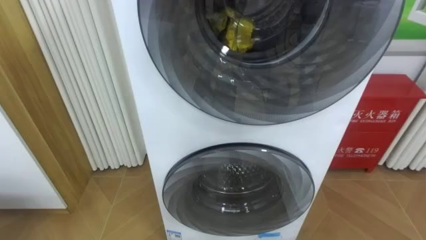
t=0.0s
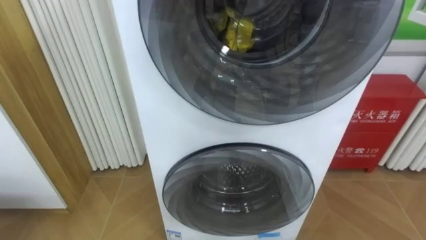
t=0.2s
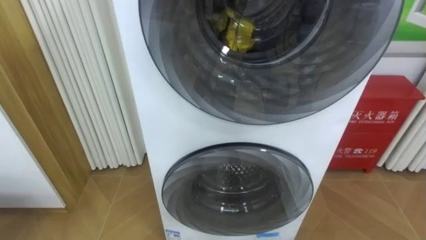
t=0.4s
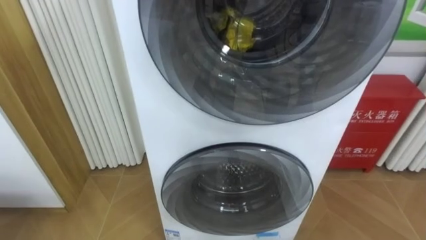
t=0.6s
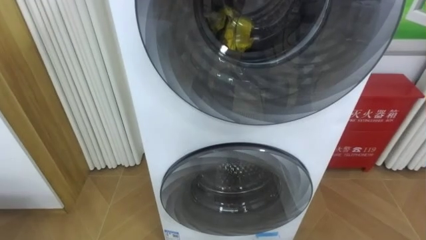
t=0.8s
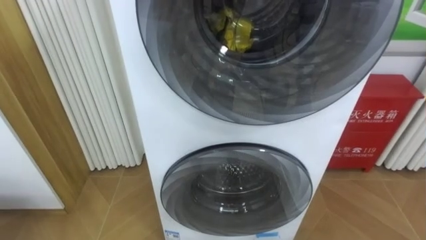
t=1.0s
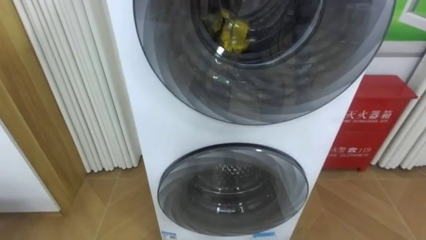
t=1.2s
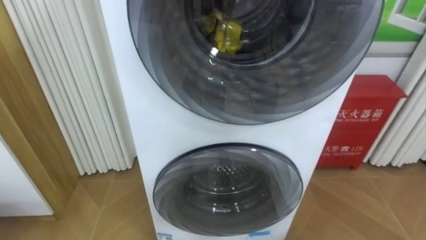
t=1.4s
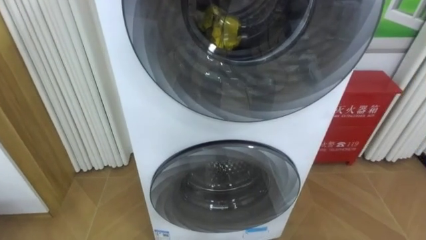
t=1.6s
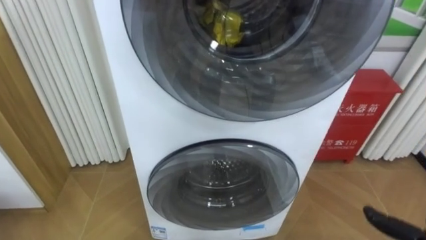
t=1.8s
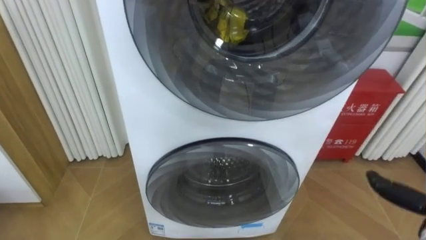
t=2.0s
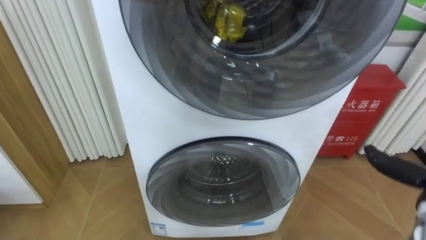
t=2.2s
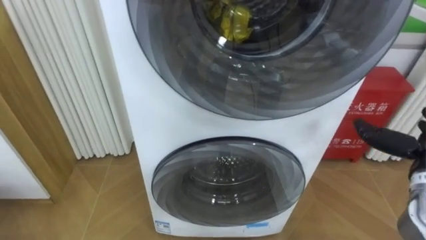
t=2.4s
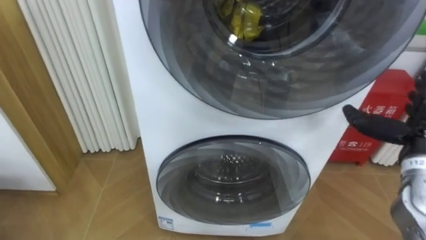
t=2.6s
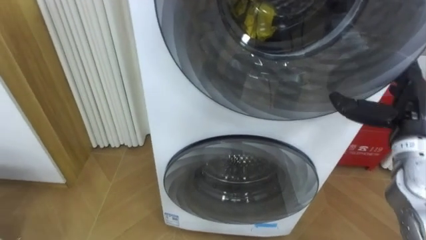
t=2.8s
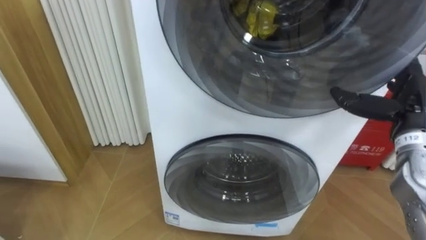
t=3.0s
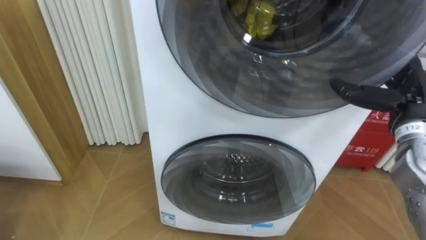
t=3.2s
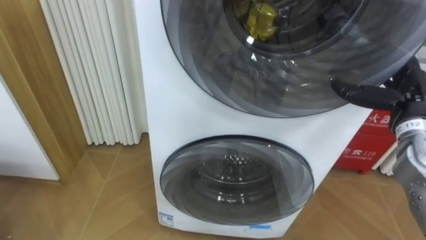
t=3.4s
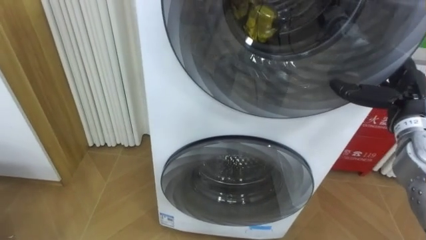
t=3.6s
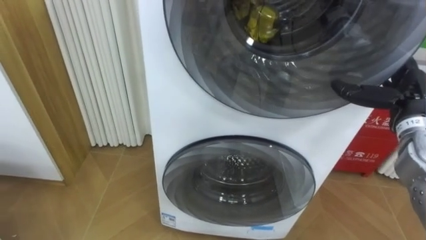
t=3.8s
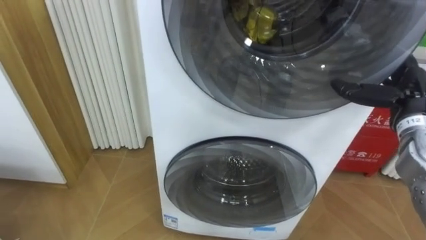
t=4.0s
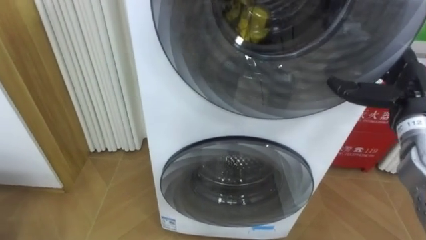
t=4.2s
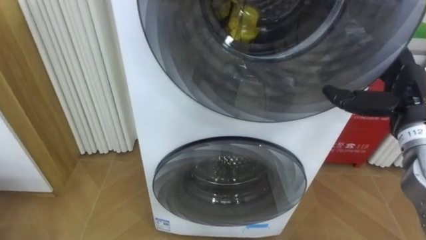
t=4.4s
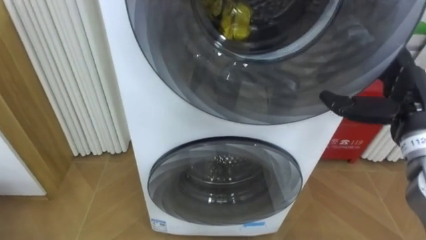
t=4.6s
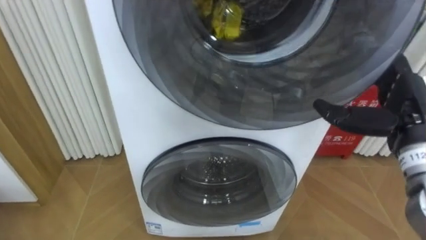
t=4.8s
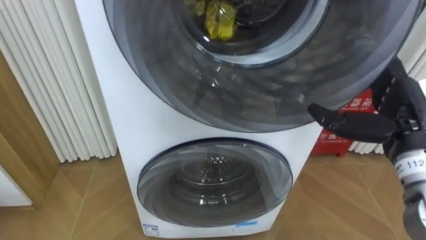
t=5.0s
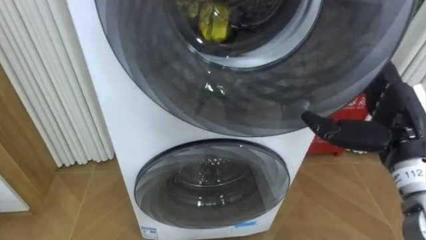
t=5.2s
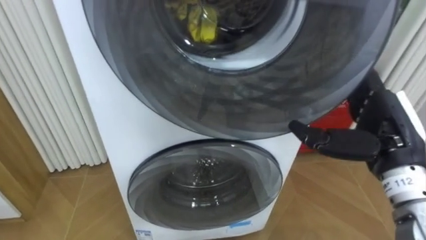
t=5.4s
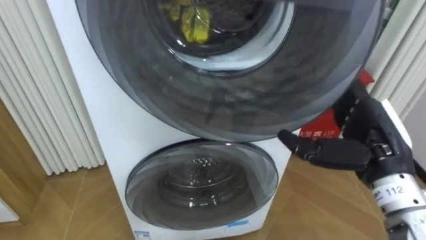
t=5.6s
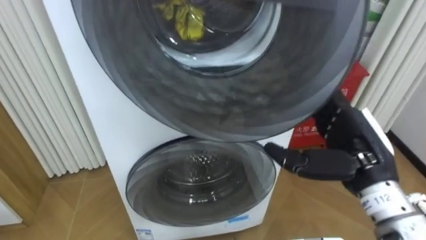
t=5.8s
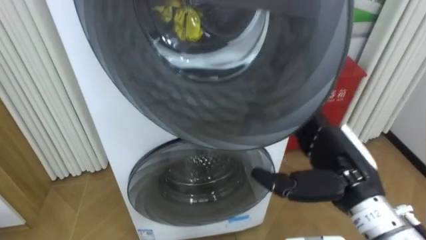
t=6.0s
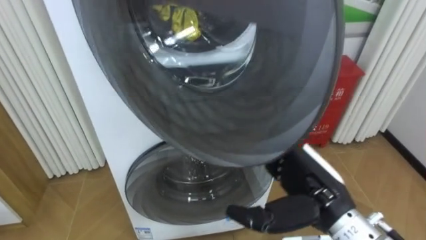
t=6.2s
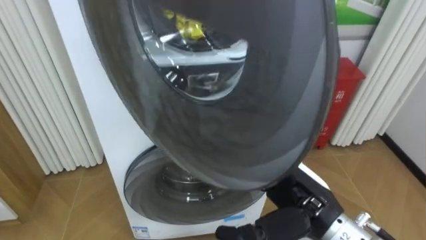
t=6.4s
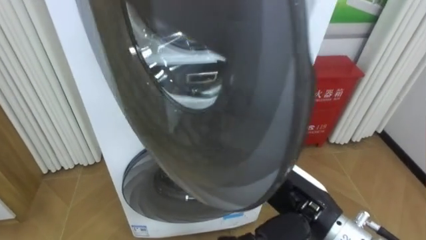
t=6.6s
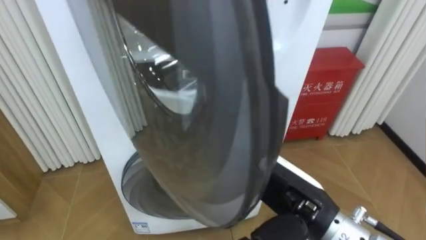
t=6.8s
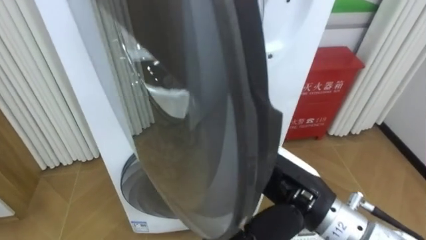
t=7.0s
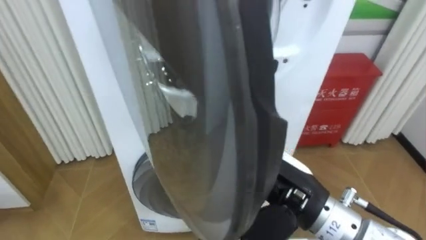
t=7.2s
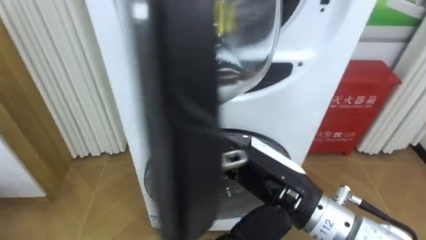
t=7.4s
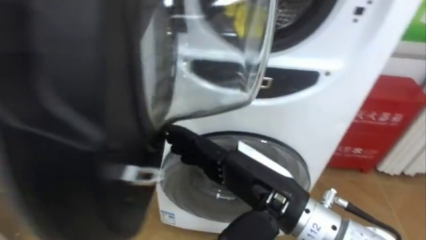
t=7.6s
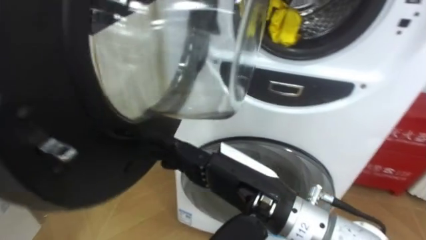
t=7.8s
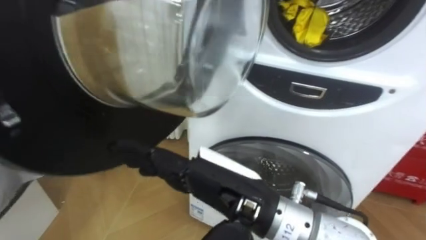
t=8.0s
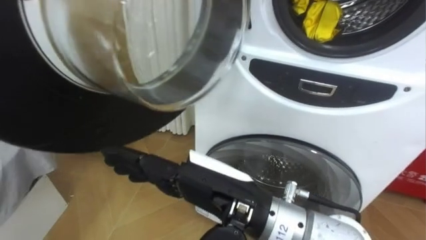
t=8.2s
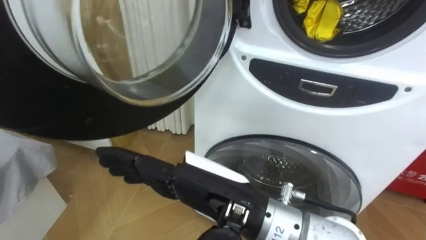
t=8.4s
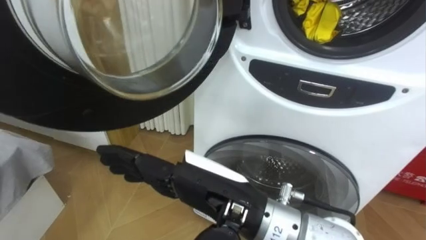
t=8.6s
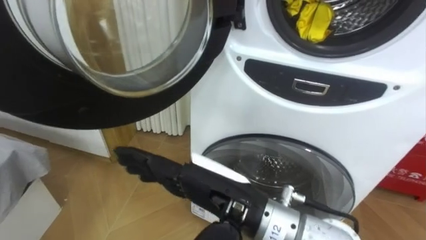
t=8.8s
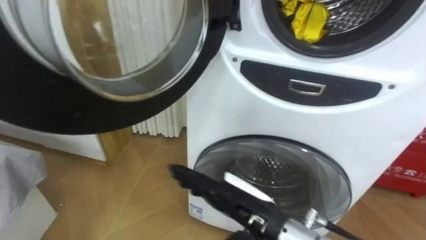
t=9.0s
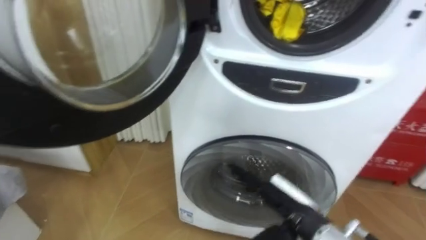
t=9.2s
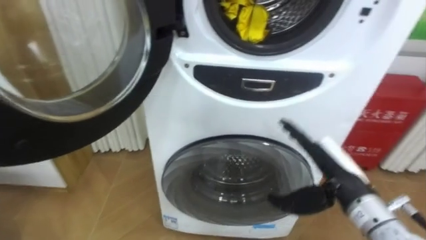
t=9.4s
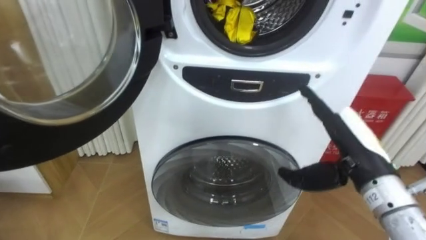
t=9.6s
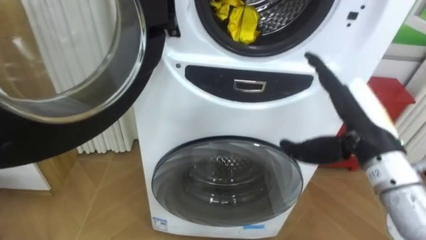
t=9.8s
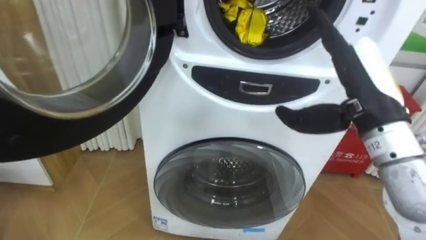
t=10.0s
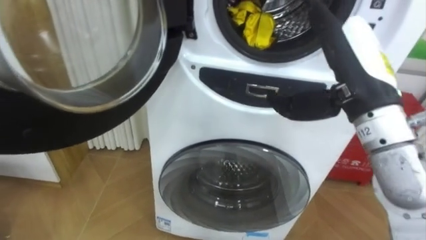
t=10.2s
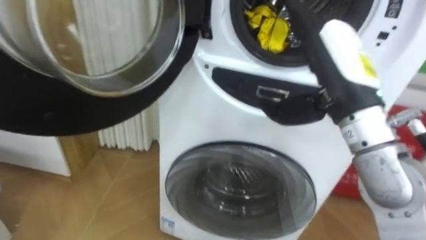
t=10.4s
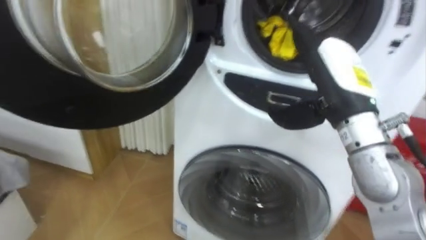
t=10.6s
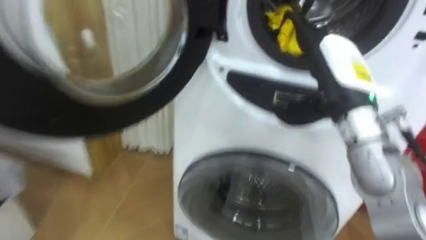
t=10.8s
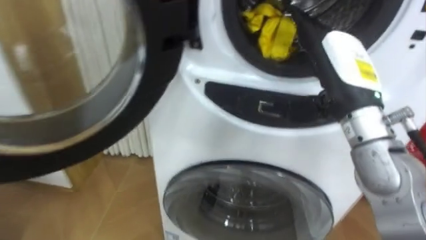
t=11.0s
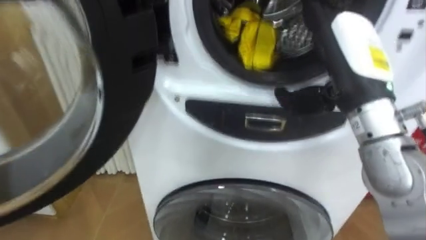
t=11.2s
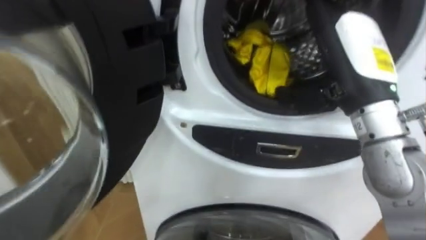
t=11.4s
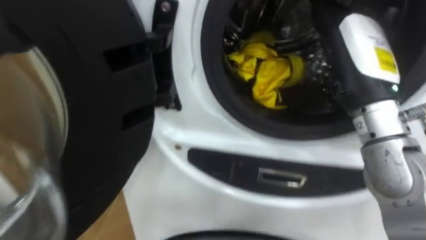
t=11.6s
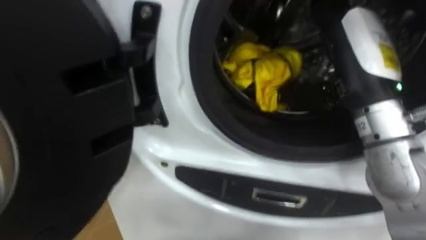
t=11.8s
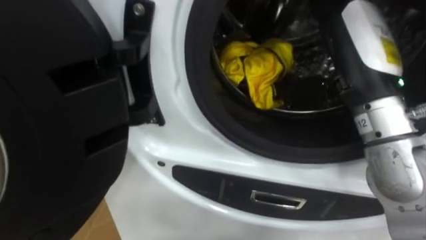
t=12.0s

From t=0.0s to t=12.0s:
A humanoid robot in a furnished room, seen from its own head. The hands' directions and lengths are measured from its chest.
Task of the whole recording: Open the washing machine door, take out the yellow clothes, place them in the box on the right, and close the washing machine door.
From t=4.4s to t=6.0s: The right hand goes some 15 cm to the left and backward.
From t=6.0s to t=7.6s: The right hand travels to the left by approximately 10 cm.
From t=7.6s to t=9.0s: The right hand heads downward, covering some 5 cm.
From t=9.0s to t=10.4s: The right hand travels upward, to the right and forward by about 20 cm.

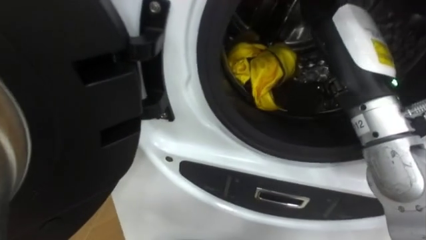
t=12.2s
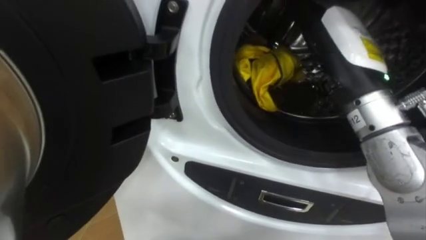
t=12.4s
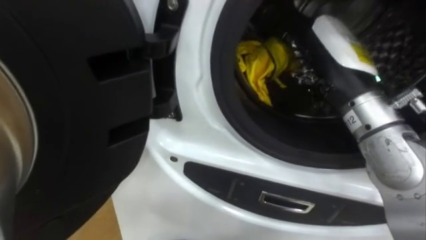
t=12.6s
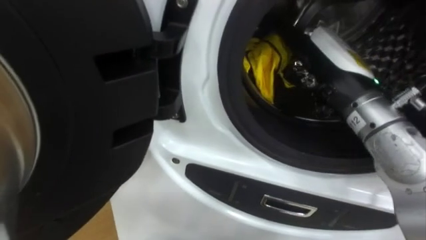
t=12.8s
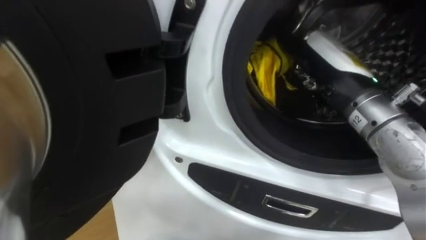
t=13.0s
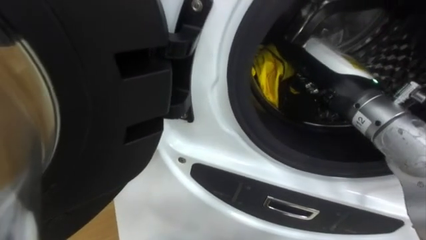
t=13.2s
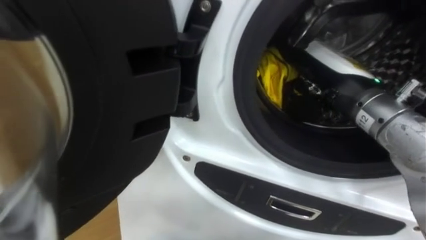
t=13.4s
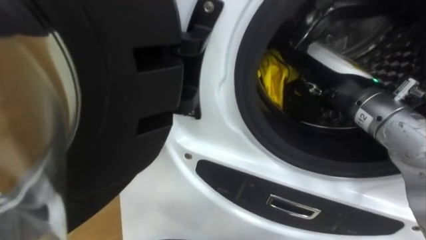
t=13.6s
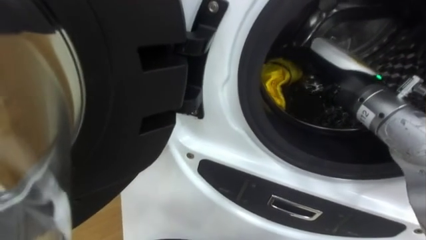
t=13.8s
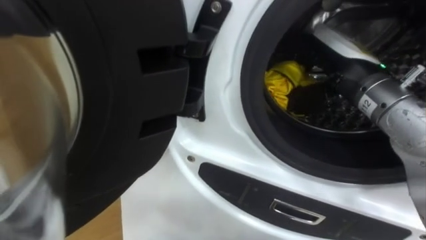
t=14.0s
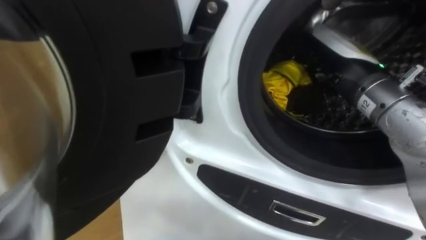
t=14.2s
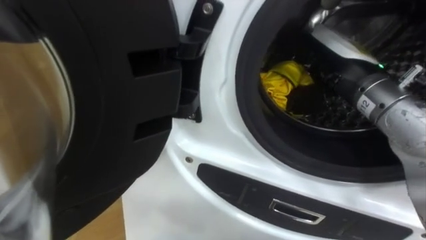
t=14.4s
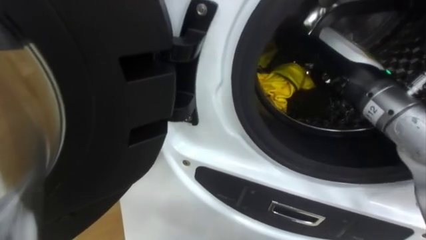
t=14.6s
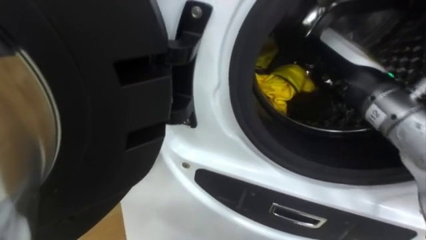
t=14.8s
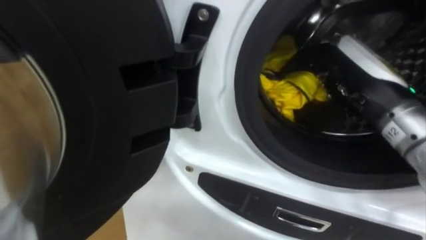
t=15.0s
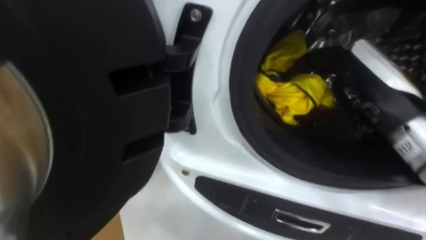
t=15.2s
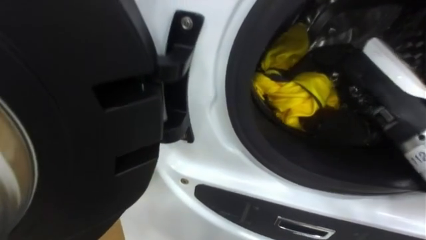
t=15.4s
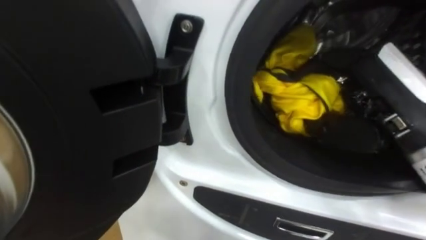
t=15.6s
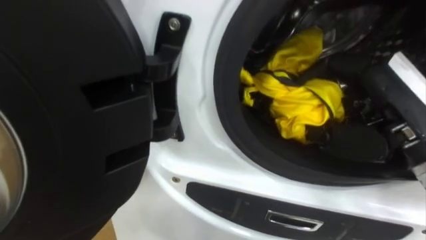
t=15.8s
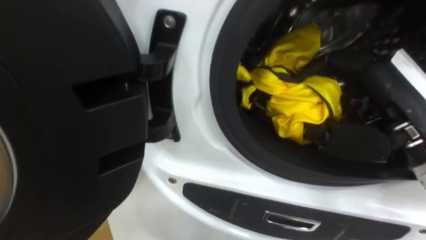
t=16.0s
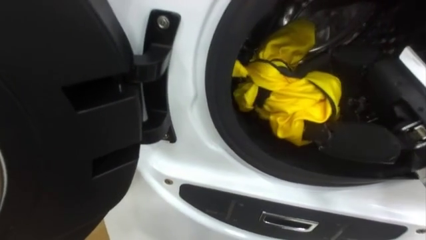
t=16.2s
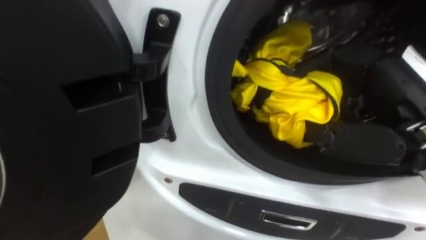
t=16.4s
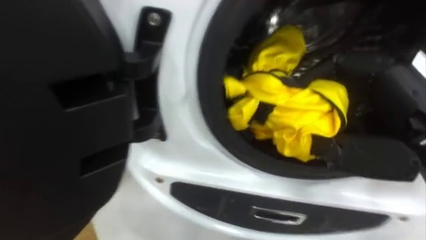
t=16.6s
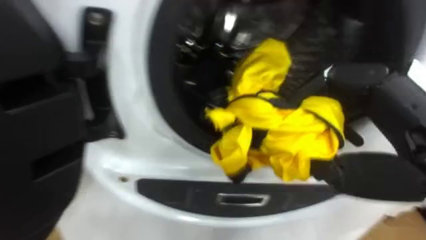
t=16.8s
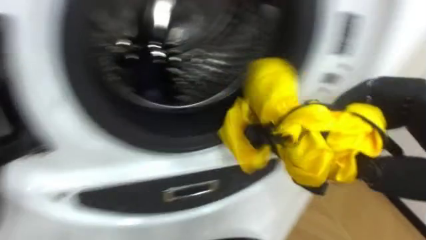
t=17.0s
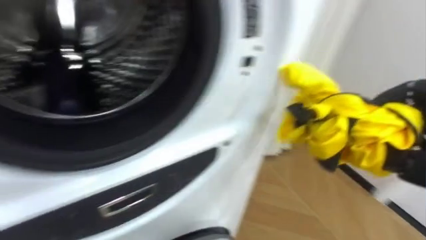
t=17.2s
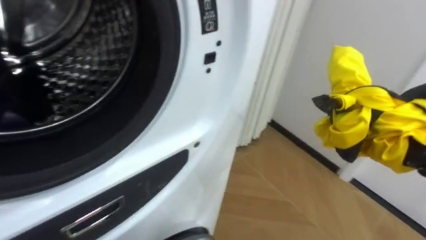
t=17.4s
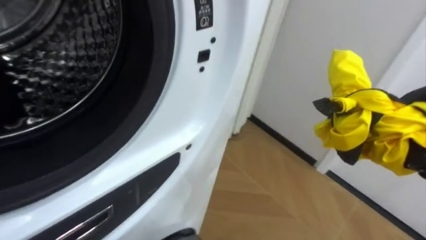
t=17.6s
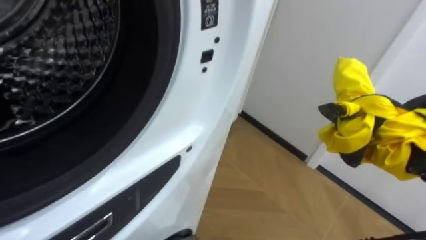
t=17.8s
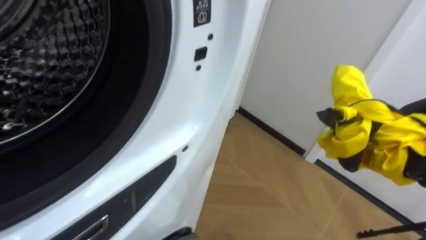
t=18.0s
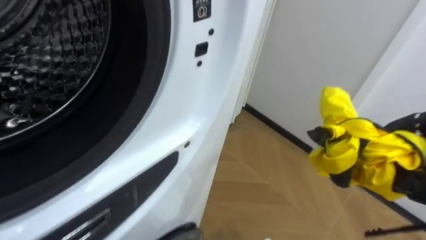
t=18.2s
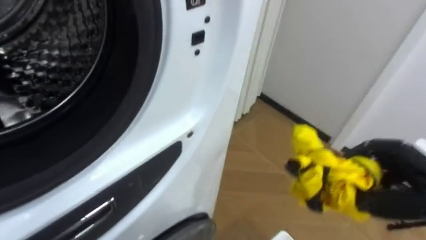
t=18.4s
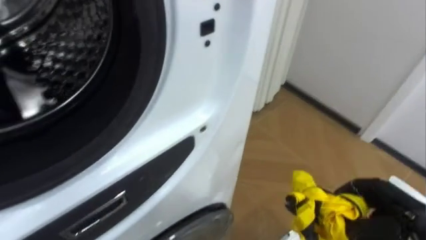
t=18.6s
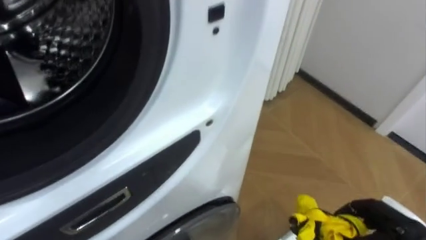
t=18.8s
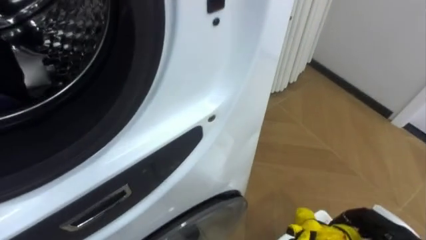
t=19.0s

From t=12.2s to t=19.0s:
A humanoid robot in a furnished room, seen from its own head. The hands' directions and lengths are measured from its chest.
Task of the whole recording: Open the washing machine door, take out the yellow clothes, place them in the box on the right, and close the washing machine door.
From t=12.2s to t=13.6s: The right hand travels downward by some 5 cm.
From t=13.6s to t=15.0s: The right hand closes.
From t=15.0s to t=16.2s: The right hand goes some 5 cm backward.
